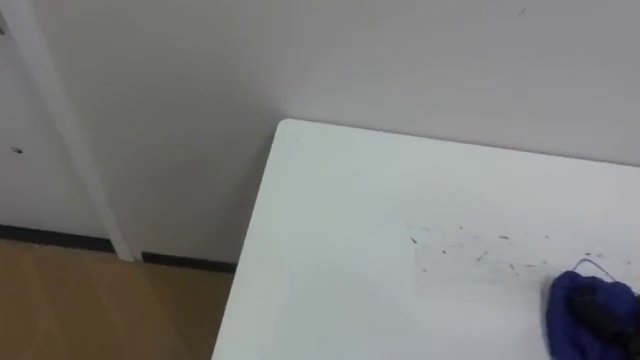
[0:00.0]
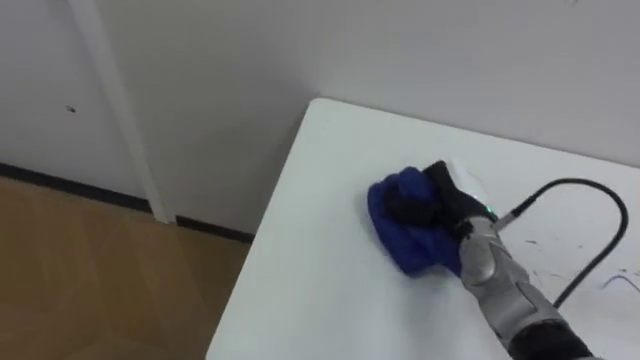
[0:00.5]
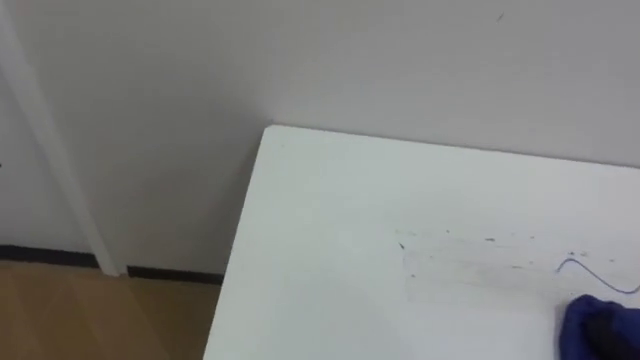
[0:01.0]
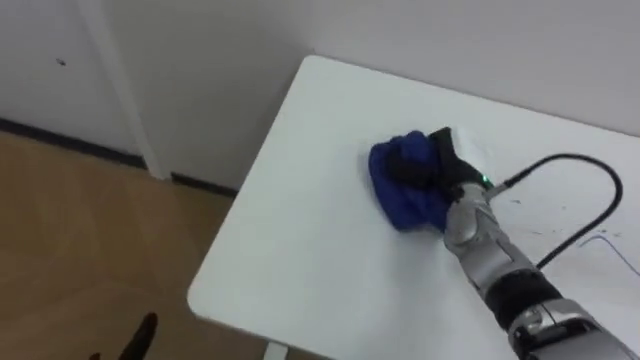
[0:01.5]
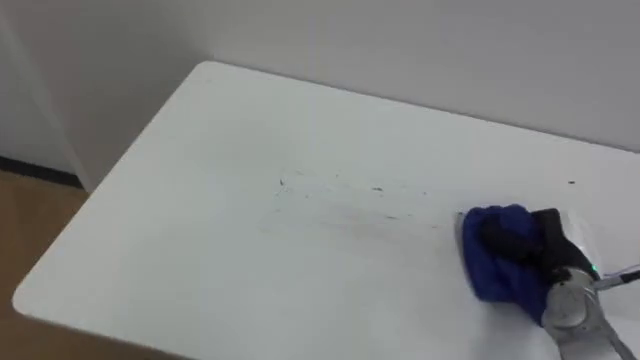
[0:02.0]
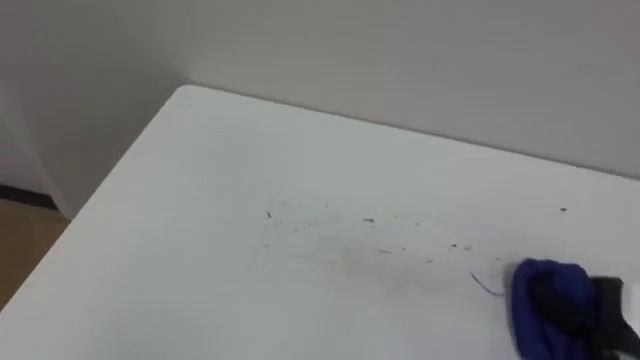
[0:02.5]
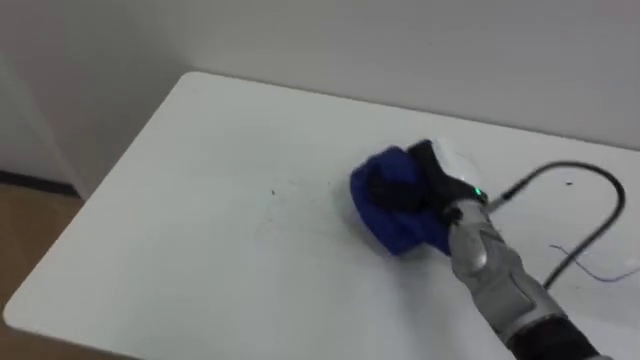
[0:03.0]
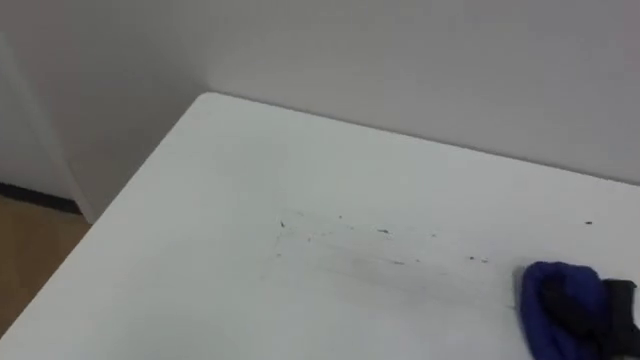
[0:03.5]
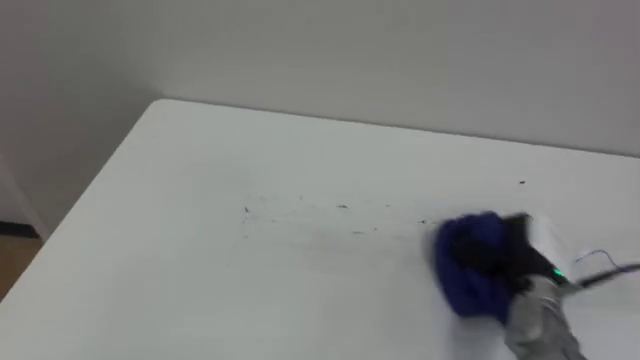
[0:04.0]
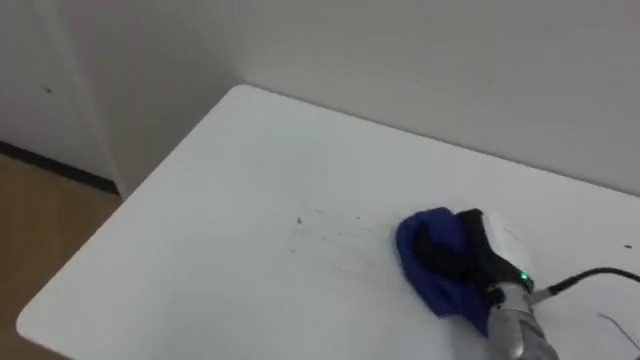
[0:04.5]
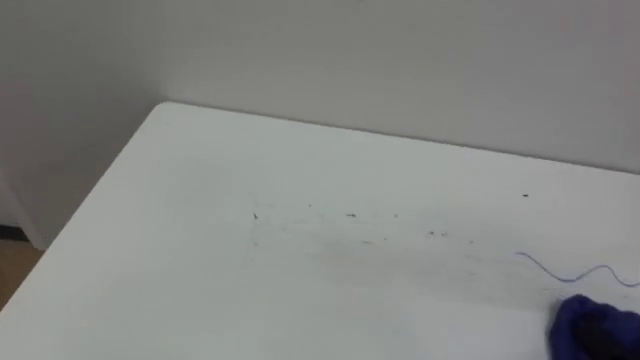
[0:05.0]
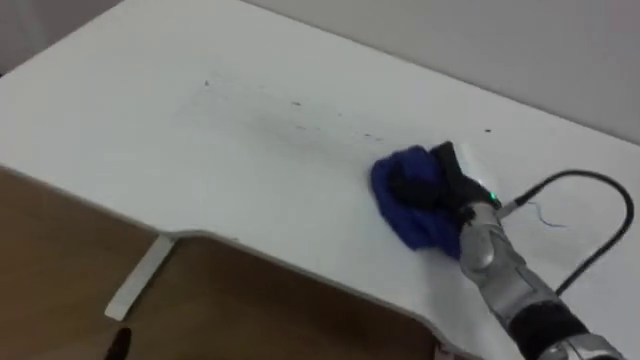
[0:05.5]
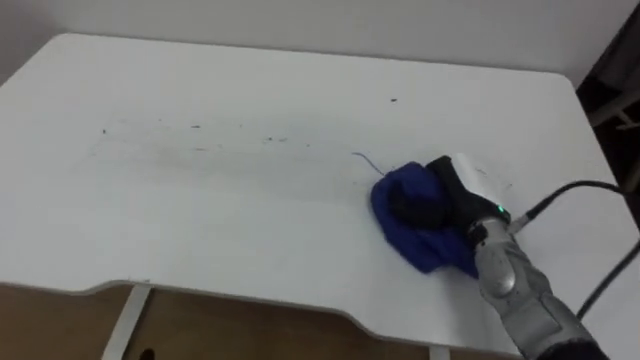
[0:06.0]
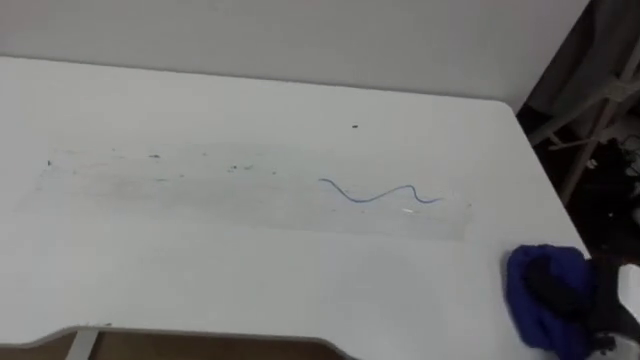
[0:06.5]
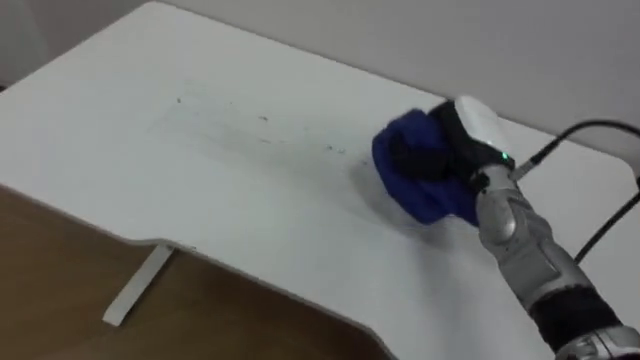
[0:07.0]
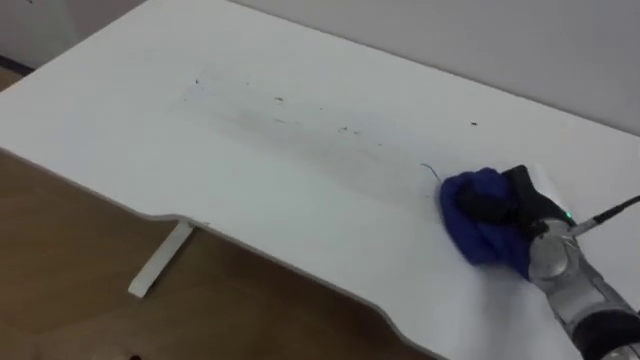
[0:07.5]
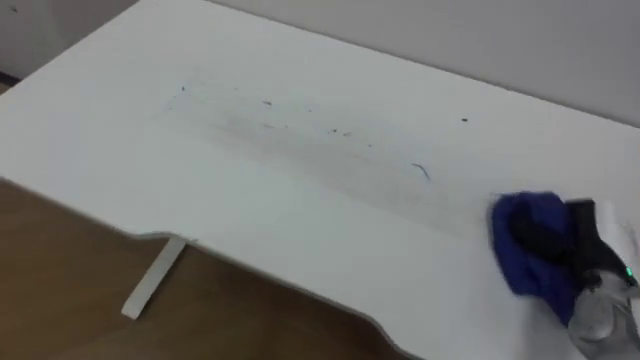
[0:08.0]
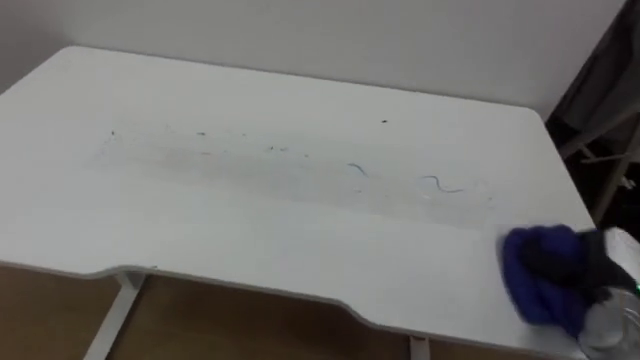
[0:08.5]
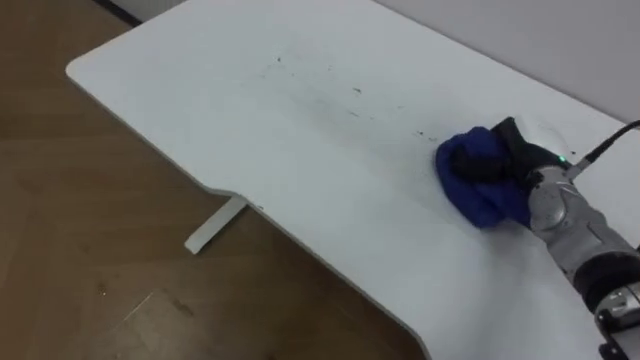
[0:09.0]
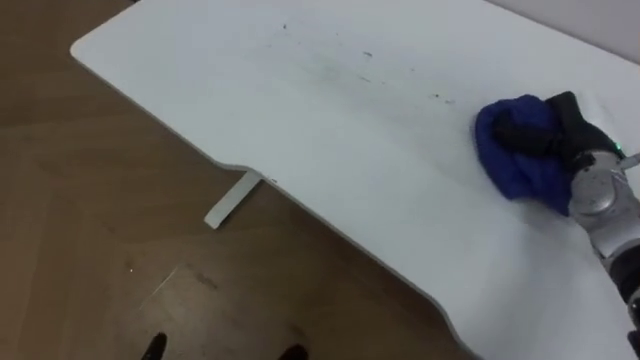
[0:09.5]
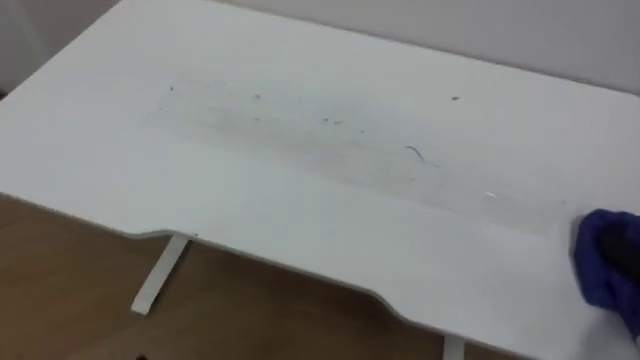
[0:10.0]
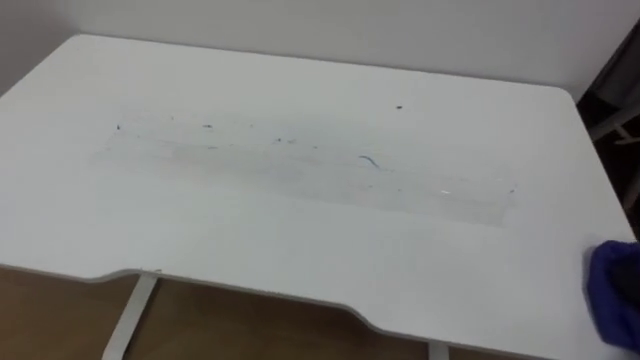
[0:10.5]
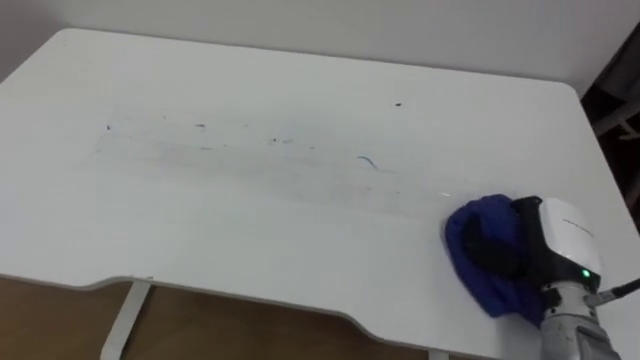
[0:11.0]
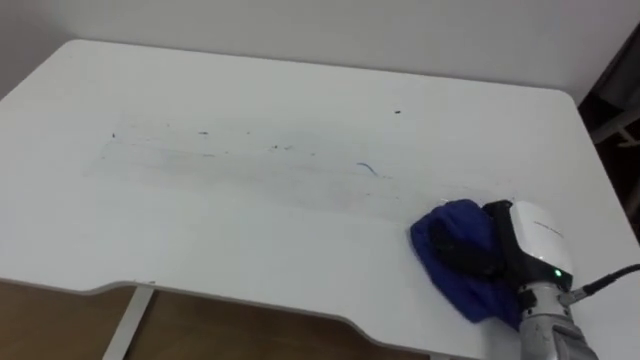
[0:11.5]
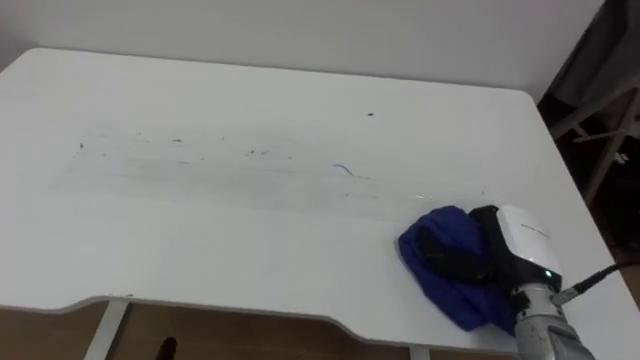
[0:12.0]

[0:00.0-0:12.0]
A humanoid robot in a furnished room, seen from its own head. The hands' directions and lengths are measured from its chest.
Task of the whole recording: Wipe the blue pen marks off the table with the rag.
0:06.0 to 0:08.0: The right hand moves forward and backward over roughly 20 cm, changing direction 2 times.

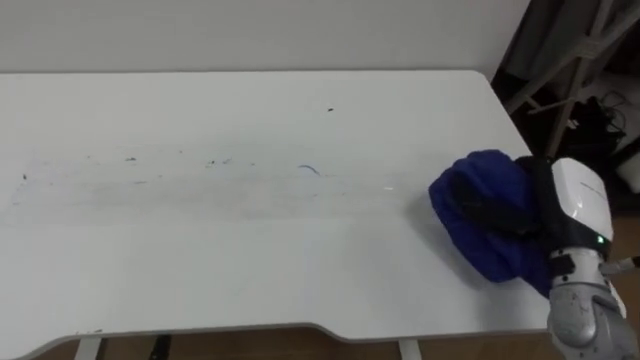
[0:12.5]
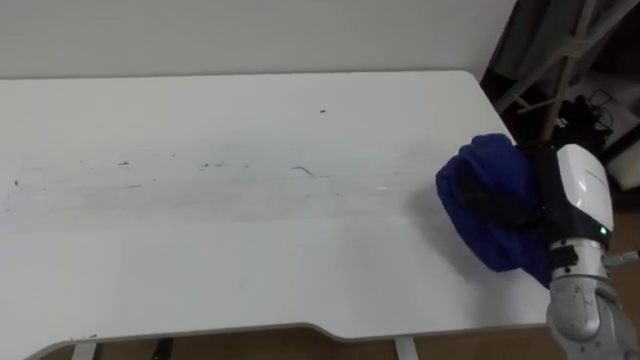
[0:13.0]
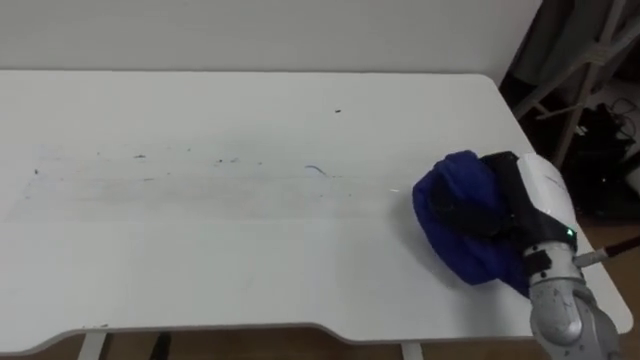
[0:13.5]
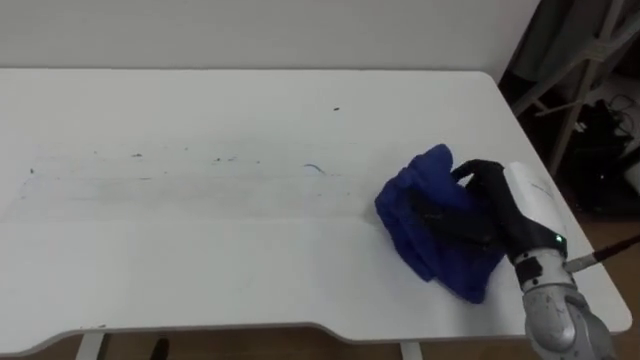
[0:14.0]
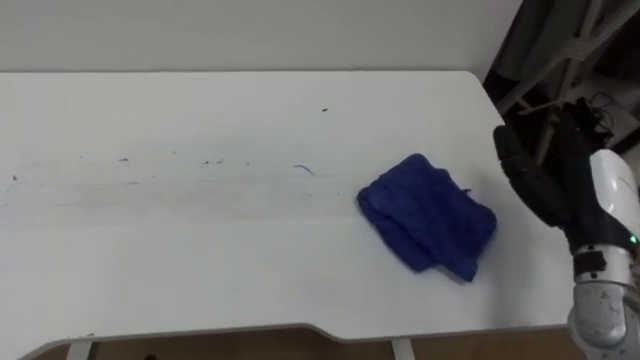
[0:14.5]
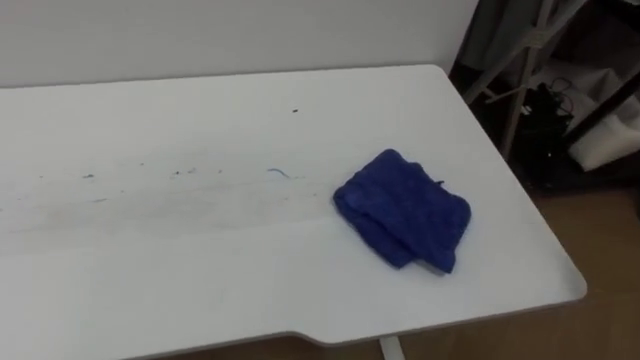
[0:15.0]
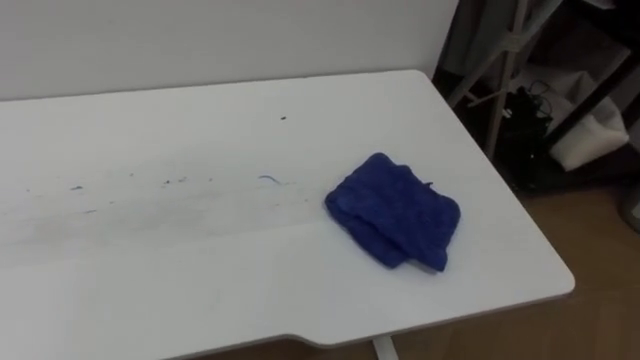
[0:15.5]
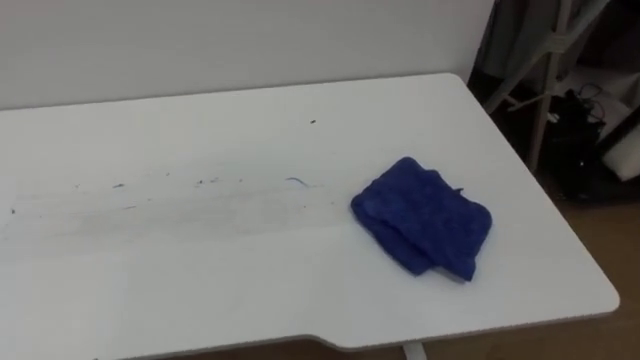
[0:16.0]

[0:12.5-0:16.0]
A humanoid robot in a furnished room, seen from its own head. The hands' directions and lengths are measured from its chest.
Task of the whole recording: Wipe the blue pen marks off the table with the rag.
0:12.5 to 0:14.5: The right hand opens.

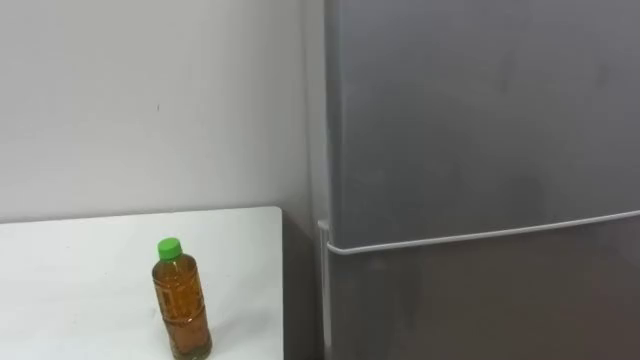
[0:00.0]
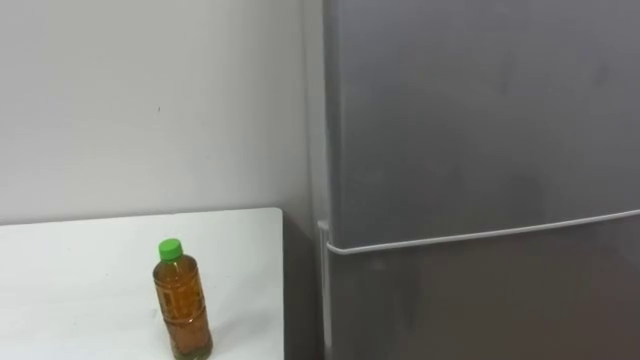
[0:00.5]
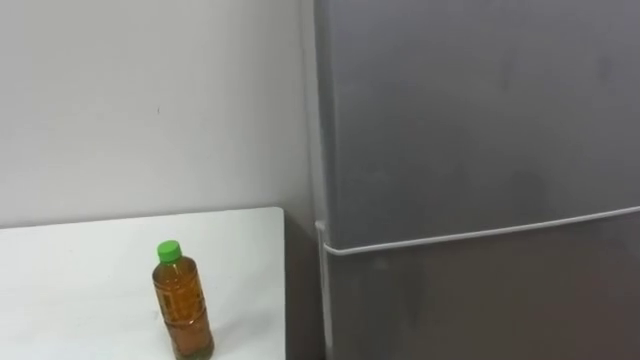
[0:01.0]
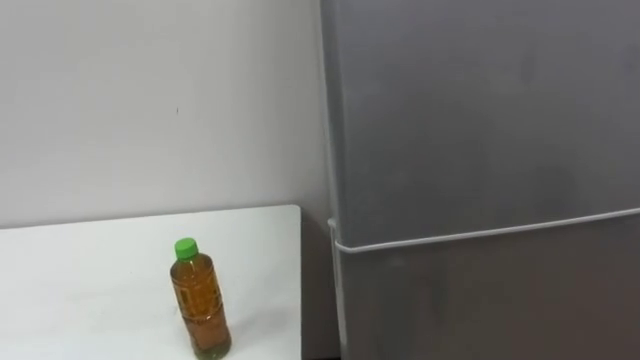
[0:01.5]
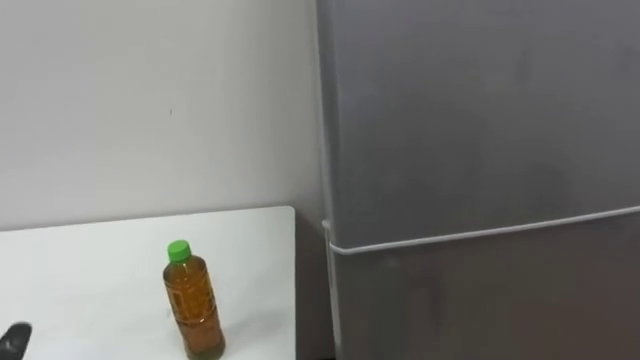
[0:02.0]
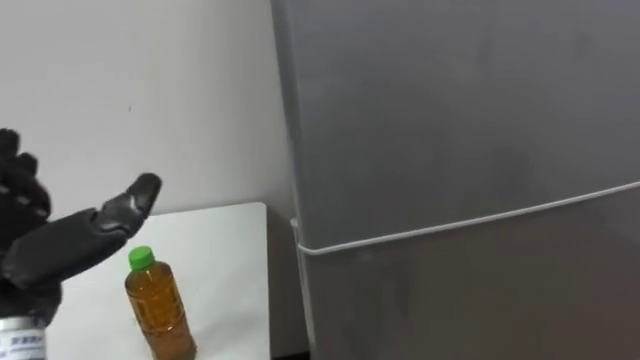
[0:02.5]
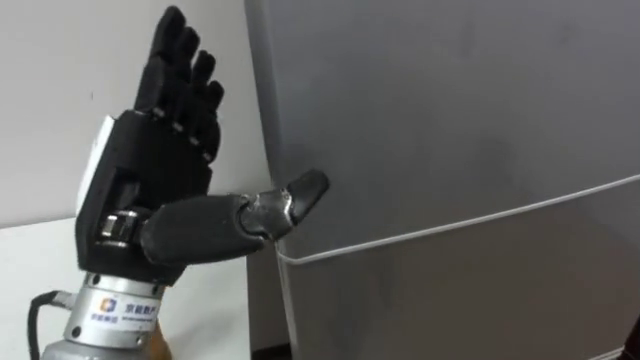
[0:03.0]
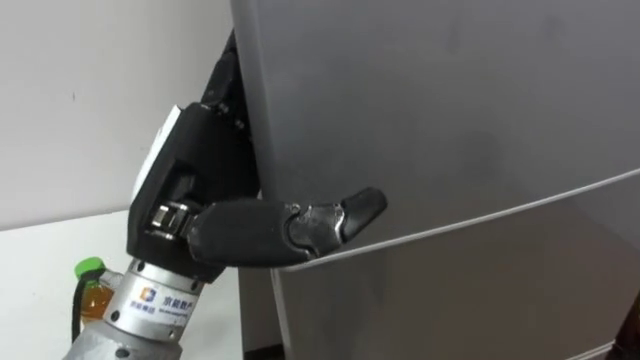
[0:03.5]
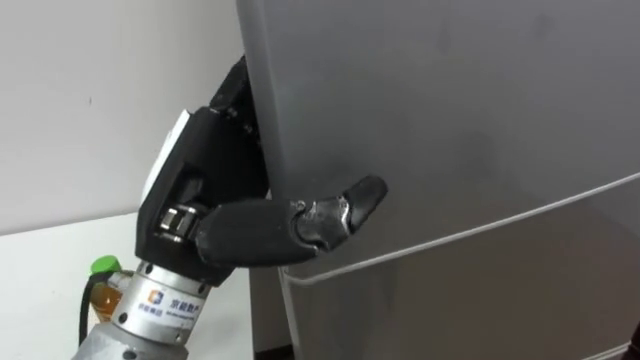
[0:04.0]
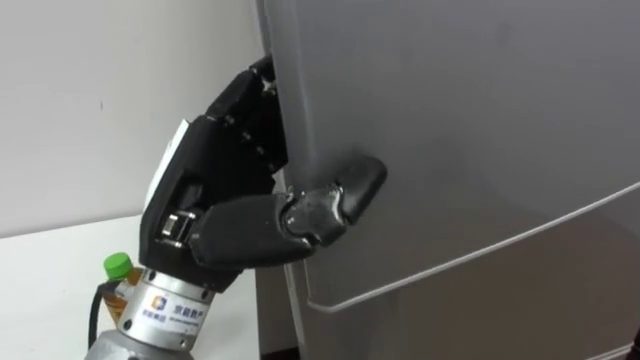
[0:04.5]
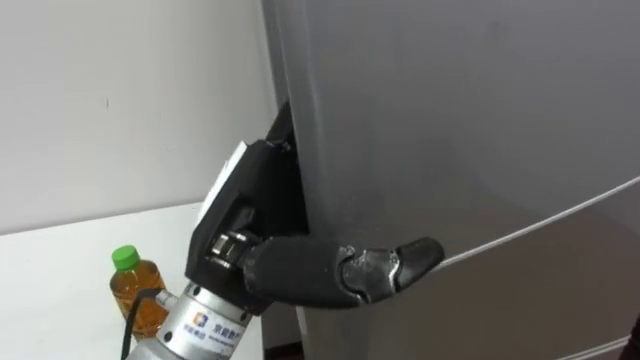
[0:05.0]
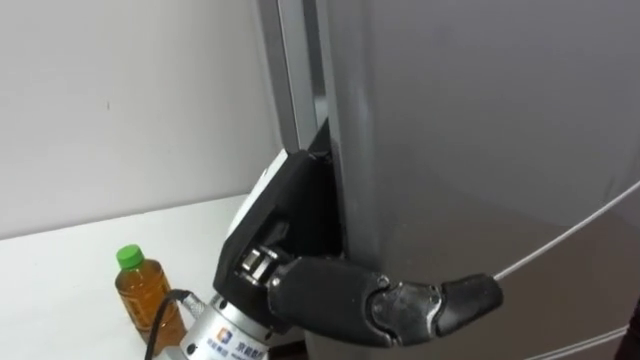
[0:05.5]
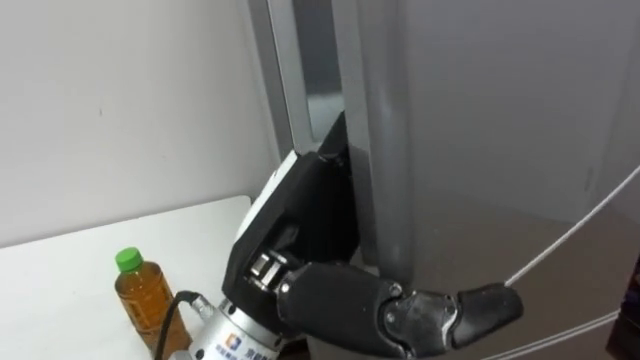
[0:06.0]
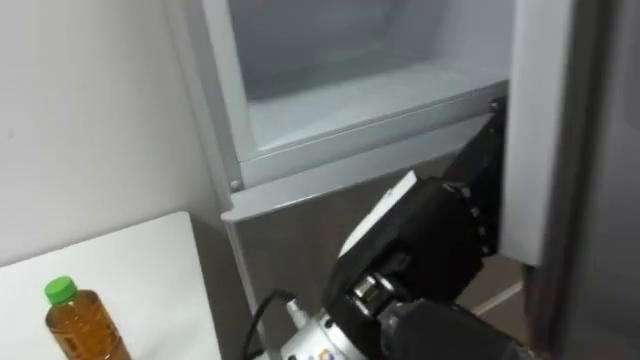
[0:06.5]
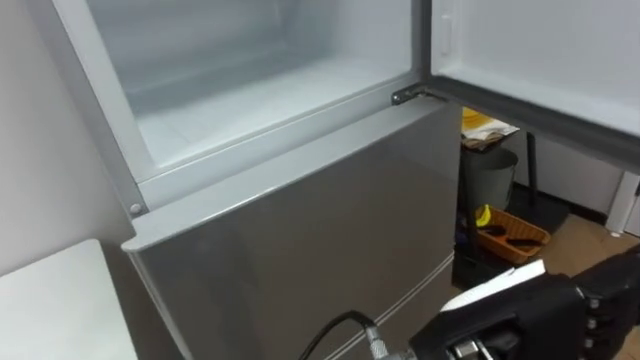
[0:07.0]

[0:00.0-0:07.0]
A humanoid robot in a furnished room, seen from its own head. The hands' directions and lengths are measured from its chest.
Task of the whole recording: Open the upper refrigerator door, put the drink from the table into the refrigerator, and then close the refrigerator door.
0:05.0 to 0:07.0: The left hand shifts about 15 cm to the right.
